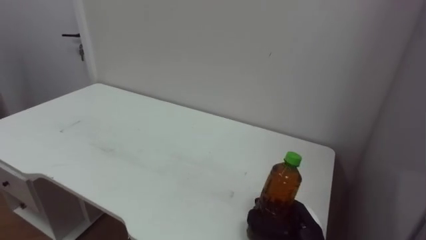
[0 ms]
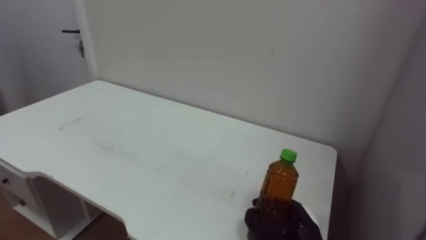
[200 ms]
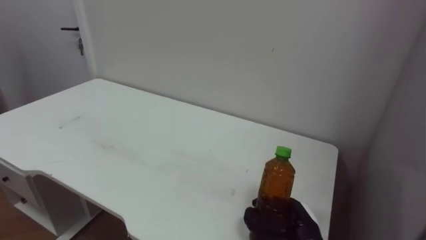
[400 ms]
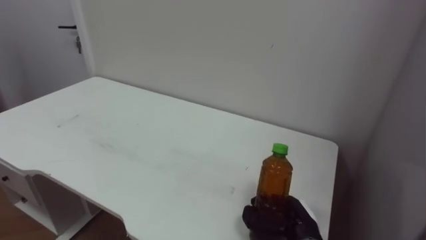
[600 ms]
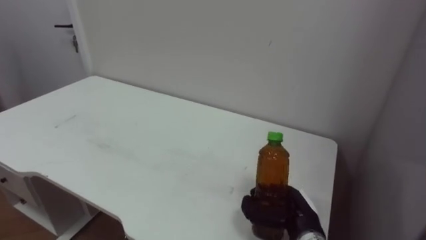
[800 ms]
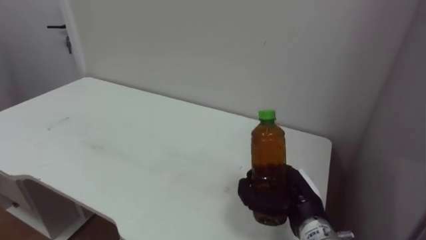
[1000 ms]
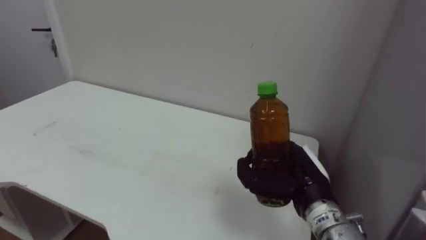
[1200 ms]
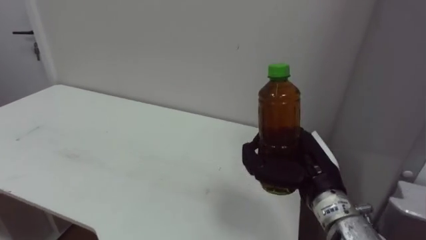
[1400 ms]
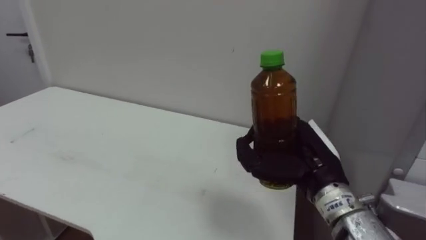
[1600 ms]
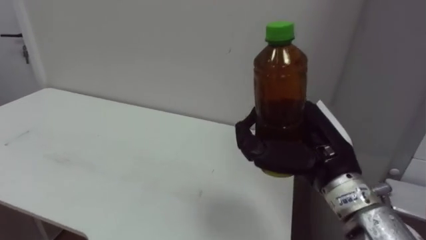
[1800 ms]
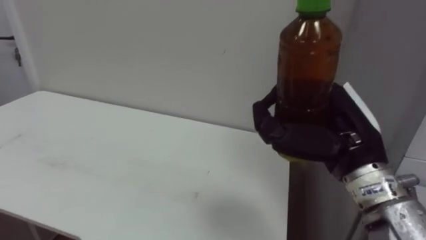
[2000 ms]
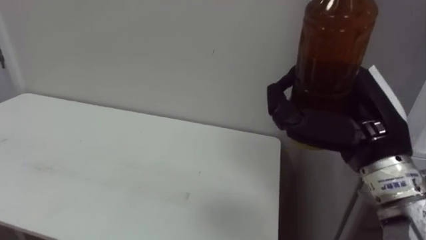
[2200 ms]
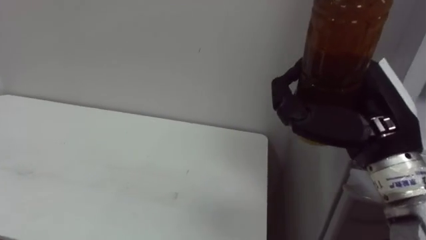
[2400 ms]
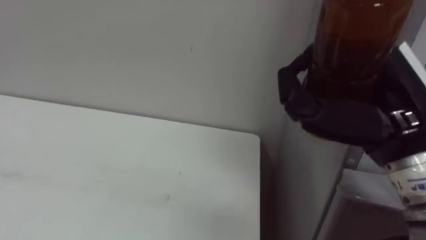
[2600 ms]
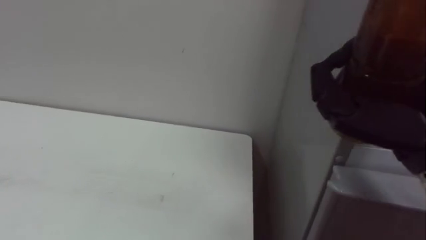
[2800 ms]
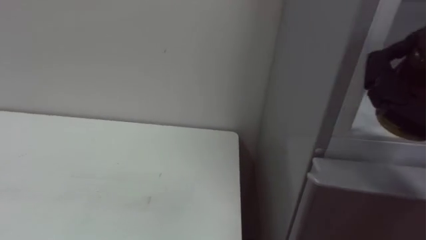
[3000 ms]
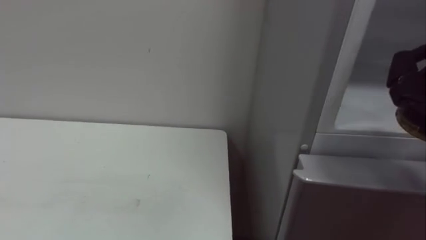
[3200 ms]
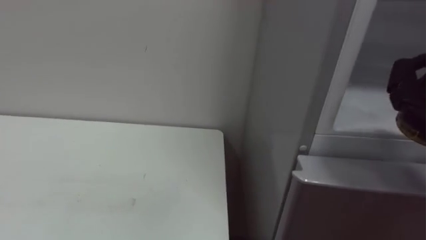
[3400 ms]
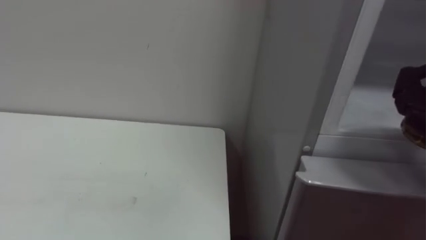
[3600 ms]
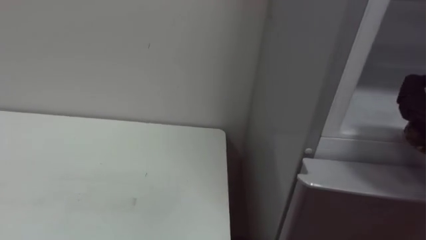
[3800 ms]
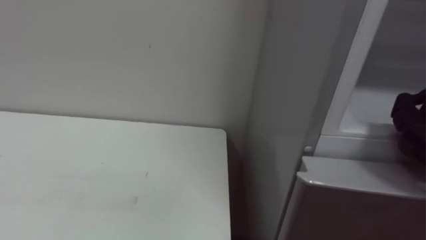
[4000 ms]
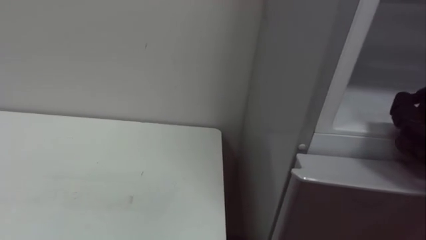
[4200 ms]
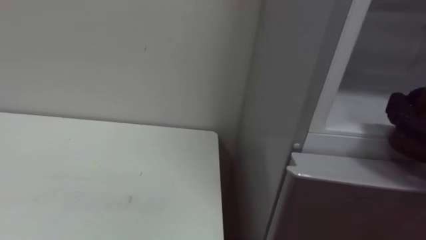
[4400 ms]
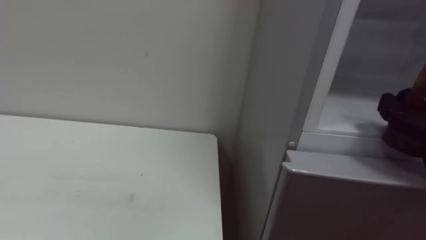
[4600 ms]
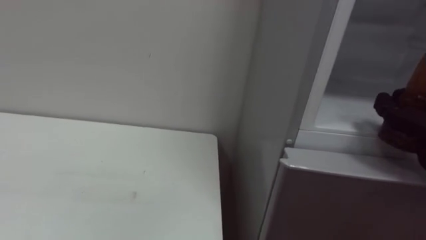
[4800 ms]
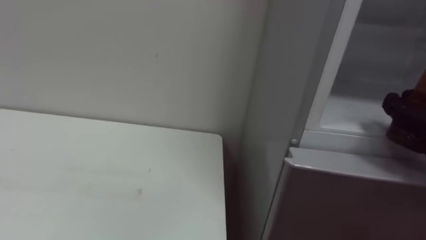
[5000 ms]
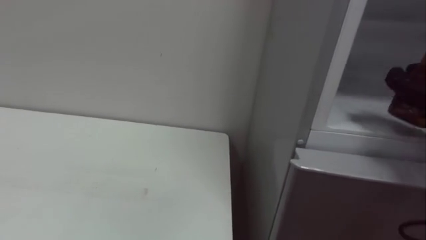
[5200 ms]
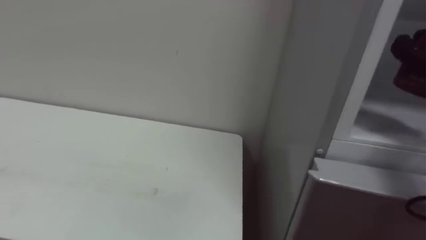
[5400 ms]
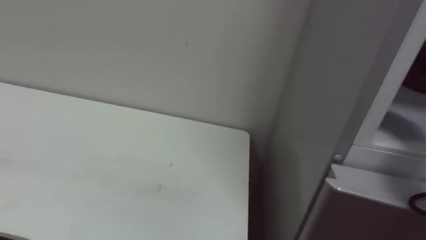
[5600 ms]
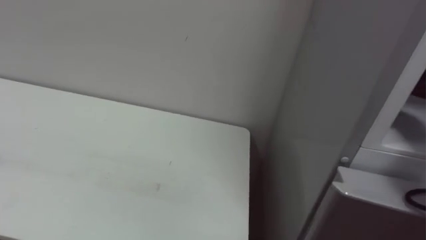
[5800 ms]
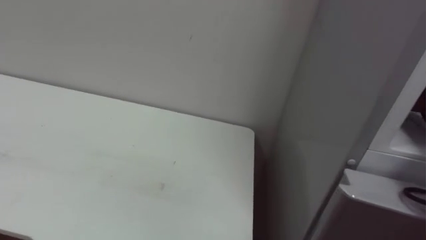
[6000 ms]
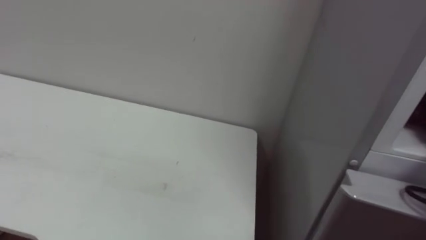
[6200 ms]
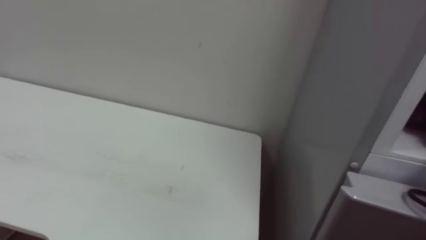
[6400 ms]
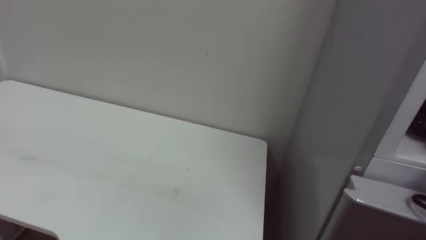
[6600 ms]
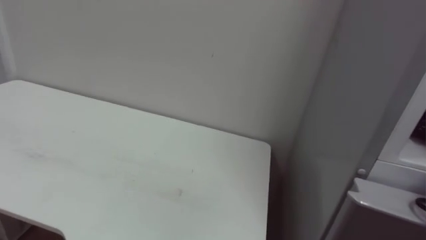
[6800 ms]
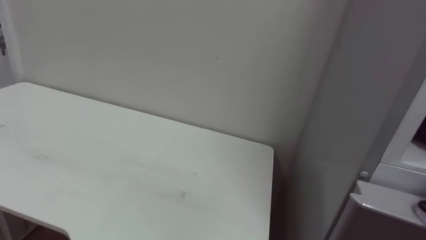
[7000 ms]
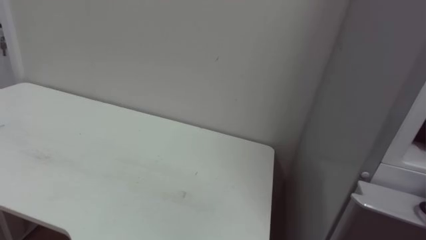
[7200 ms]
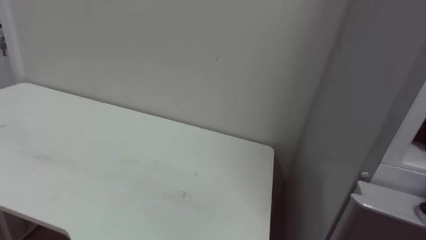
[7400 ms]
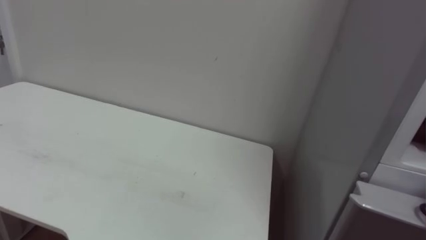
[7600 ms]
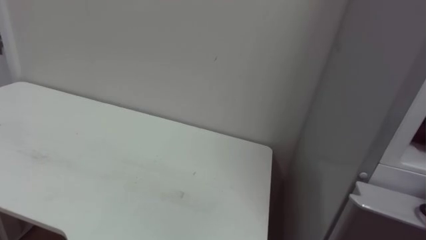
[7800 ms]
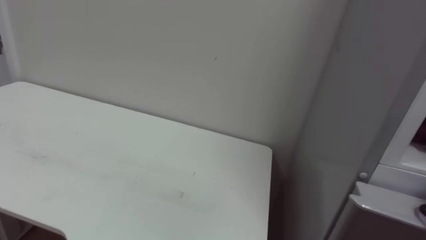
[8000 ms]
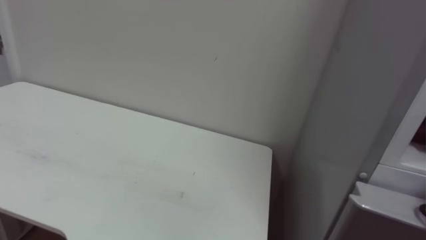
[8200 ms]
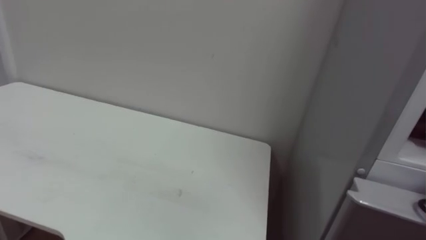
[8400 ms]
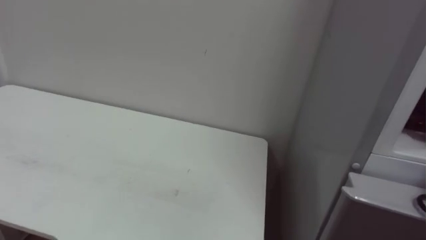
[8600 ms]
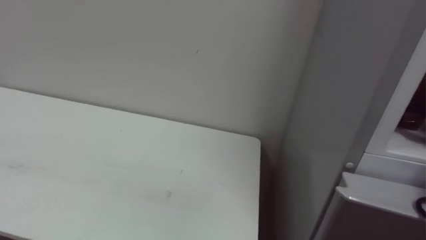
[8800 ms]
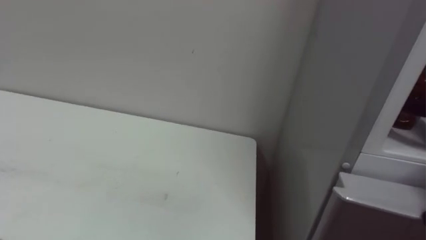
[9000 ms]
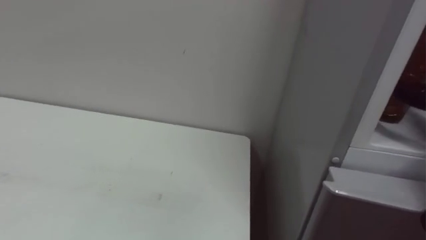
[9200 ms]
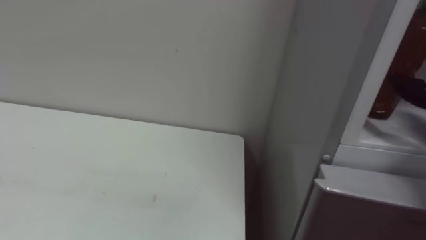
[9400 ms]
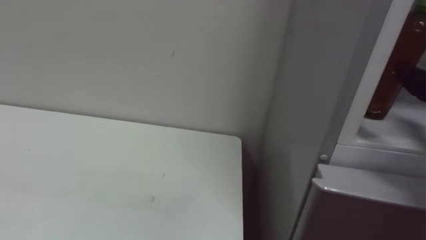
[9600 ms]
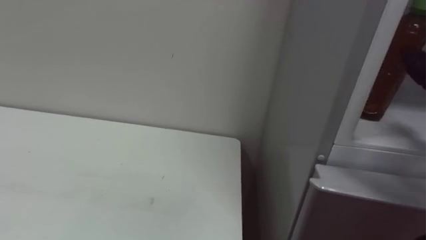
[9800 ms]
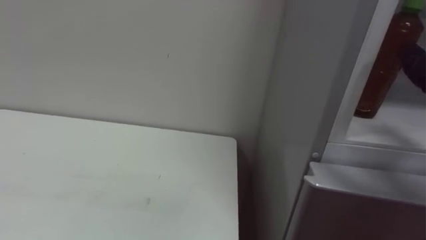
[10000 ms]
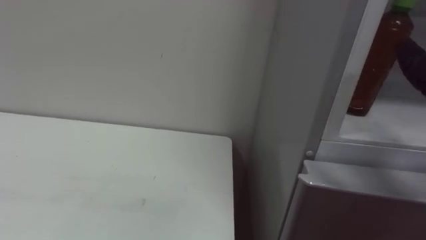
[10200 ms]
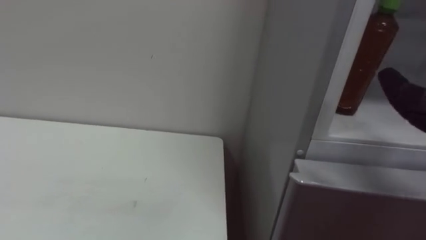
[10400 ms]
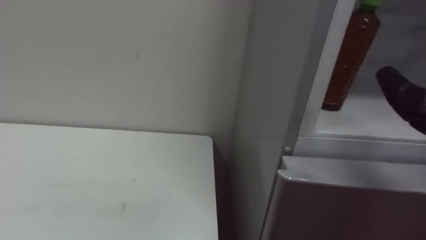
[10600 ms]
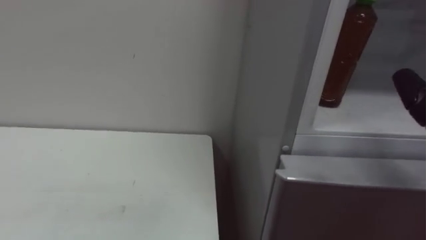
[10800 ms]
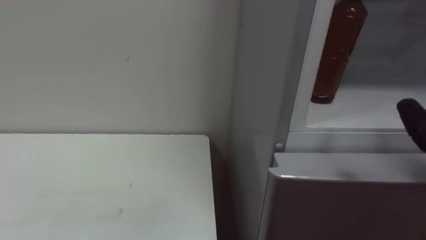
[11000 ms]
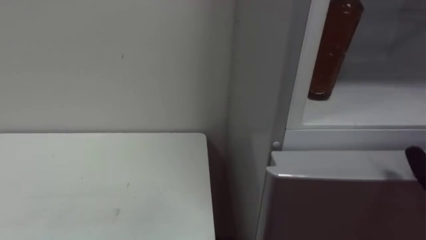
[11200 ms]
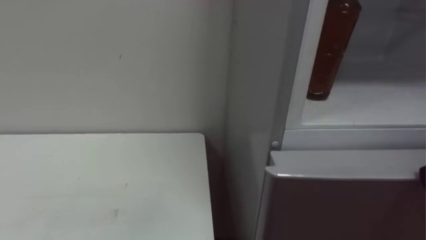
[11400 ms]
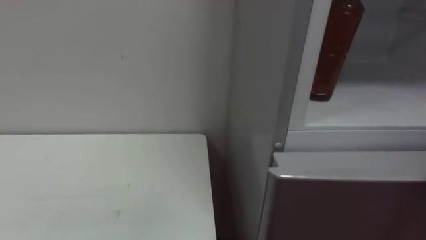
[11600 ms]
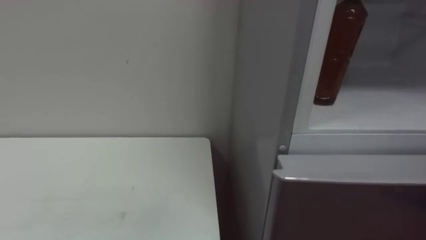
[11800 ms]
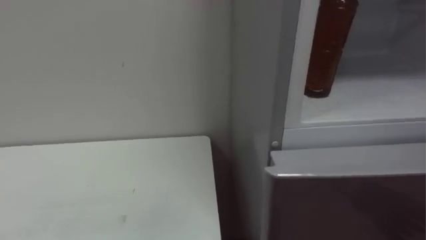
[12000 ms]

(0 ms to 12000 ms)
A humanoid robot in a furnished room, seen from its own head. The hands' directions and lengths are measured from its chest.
Task of the whole recording: Open the upper refrigerator door, put the drink from the table into the refrigerator, and then close the refrigerator door.
0 ms - 1600 ms: The right hand travels upward by approximately 20 cm.

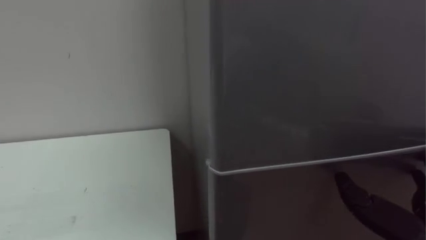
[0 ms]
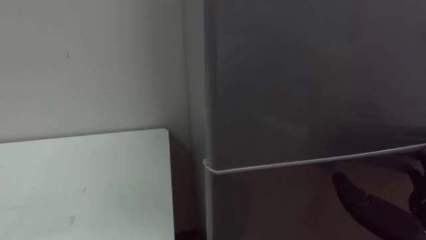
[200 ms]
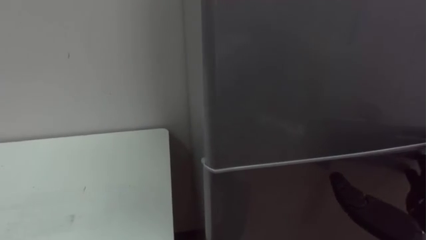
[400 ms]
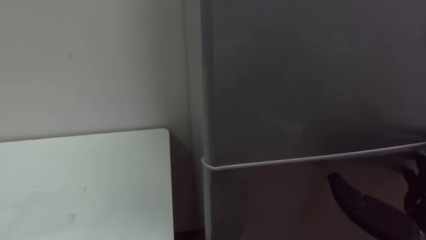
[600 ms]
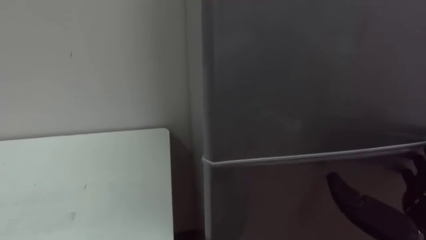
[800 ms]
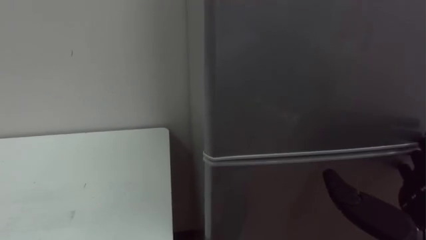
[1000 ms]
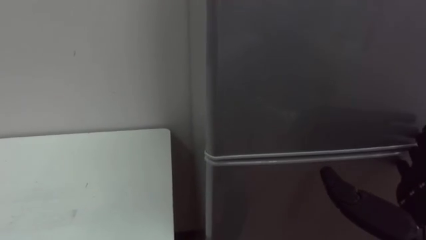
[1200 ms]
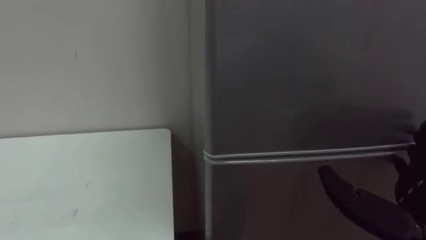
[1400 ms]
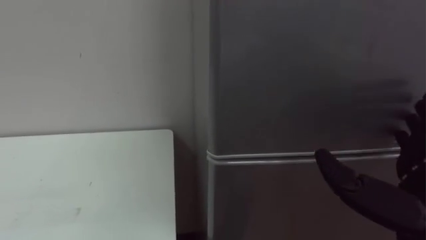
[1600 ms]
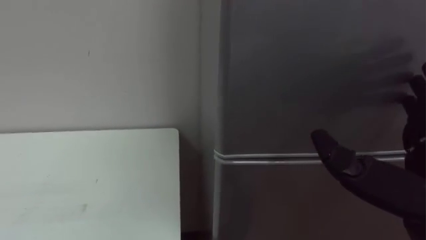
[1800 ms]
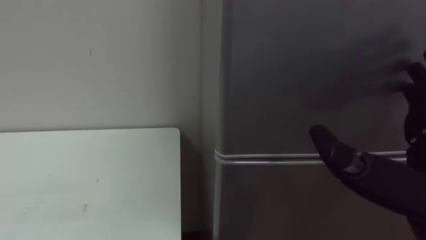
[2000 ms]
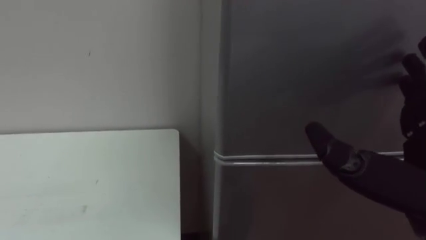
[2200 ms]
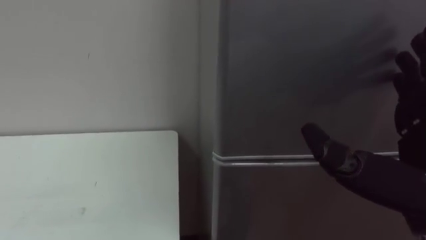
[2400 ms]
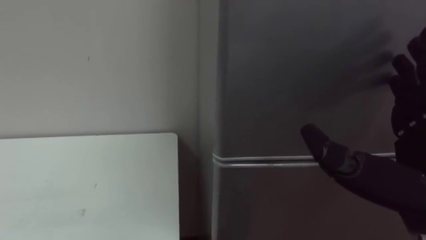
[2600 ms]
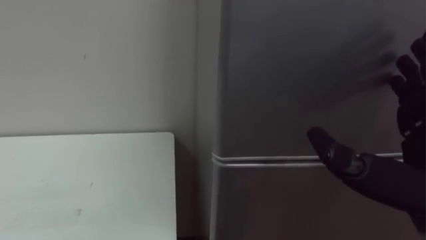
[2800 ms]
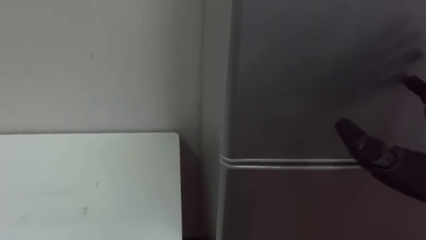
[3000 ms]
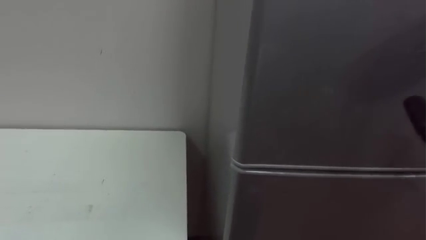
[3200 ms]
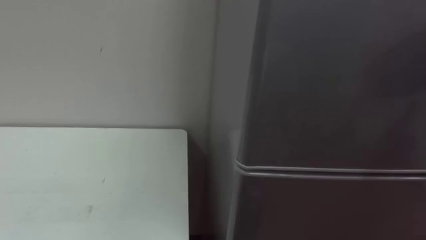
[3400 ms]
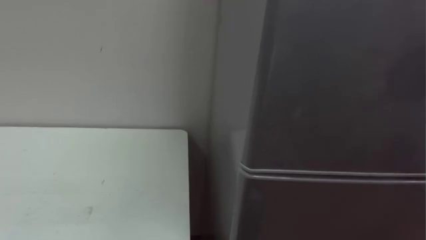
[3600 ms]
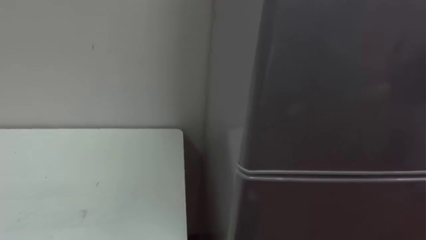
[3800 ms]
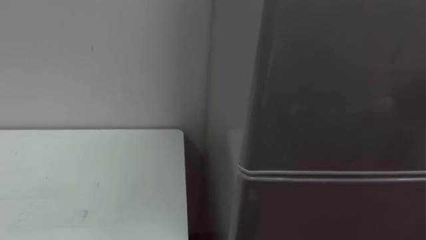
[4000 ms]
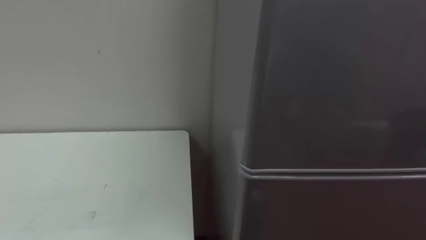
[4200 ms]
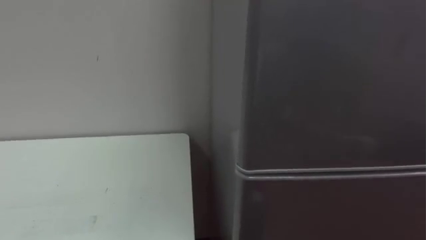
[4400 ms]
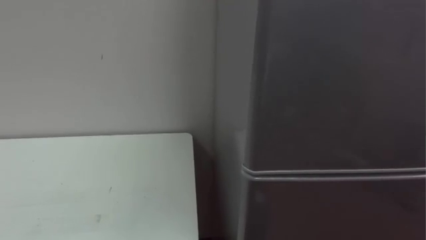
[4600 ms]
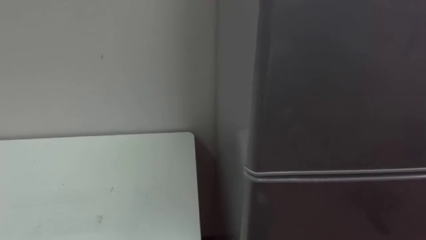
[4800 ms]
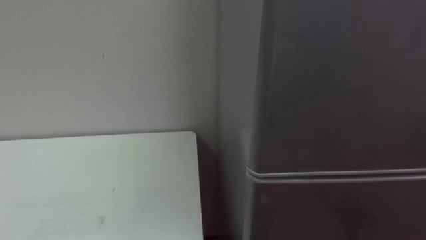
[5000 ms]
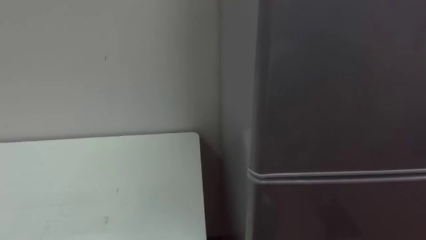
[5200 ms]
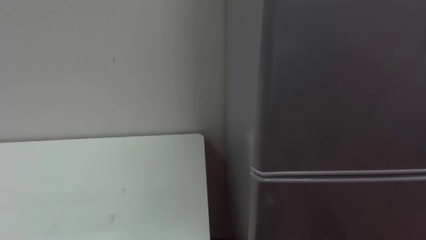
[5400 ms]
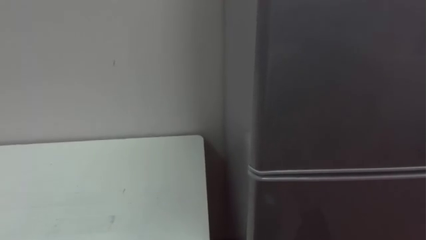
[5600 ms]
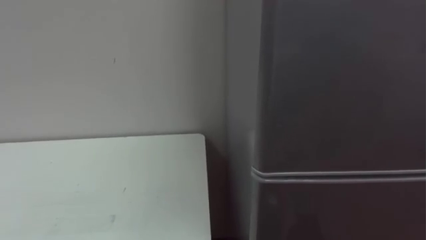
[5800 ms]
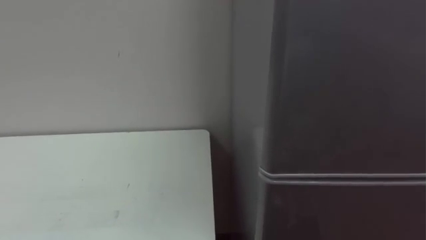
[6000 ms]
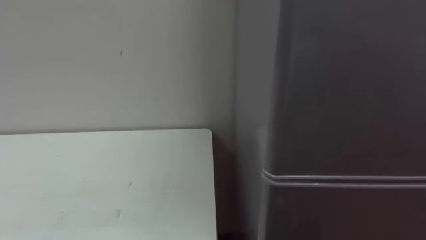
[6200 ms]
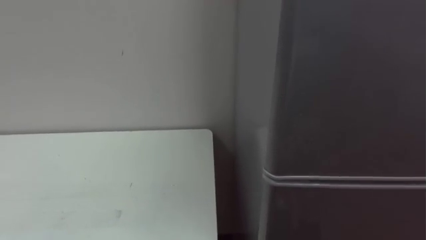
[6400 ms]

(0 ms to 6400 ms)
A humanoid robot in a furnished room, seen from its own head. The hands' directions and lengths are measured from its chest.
Task of the whole recording: Open the upper refrigerator door, put the drink from the table into the refrigerator, and then close the refrigerator door.
0 ms - 1600 ms: The right hand moves upward, roughly 5 cm.
